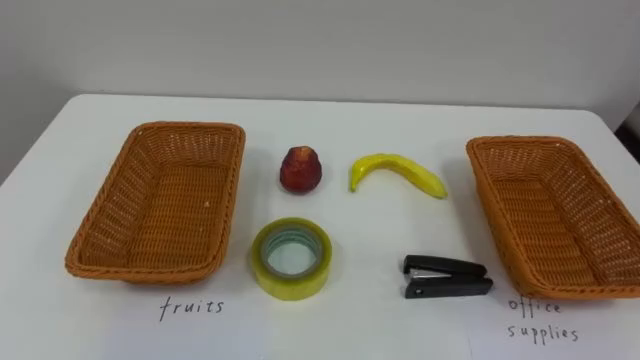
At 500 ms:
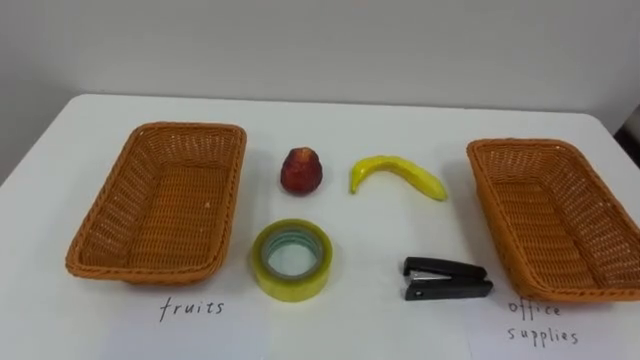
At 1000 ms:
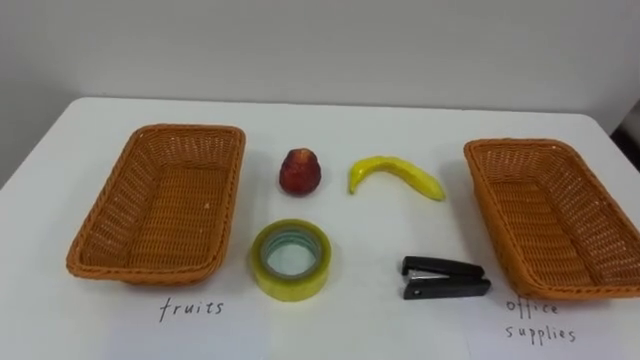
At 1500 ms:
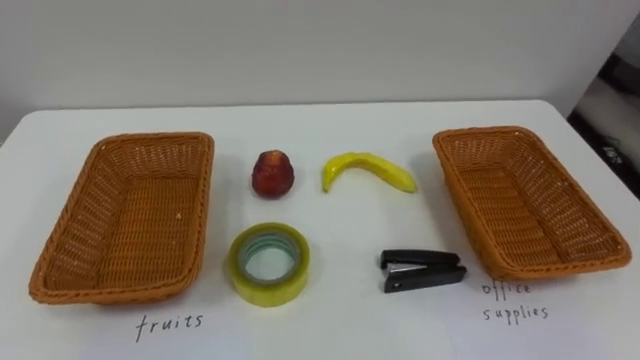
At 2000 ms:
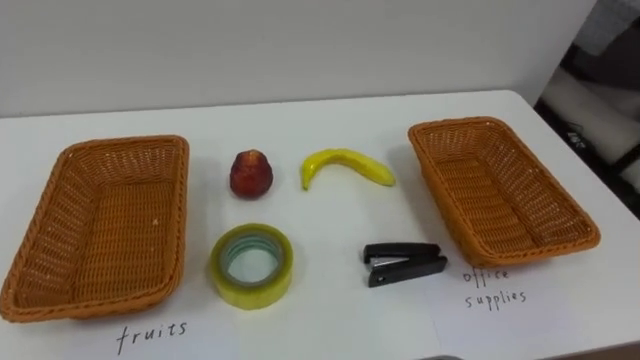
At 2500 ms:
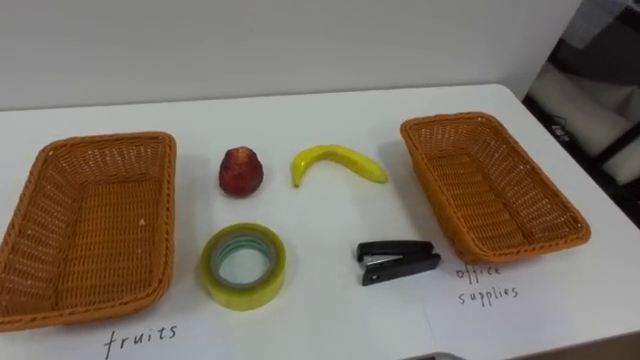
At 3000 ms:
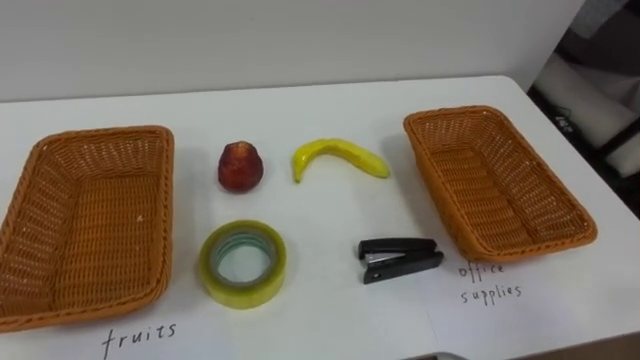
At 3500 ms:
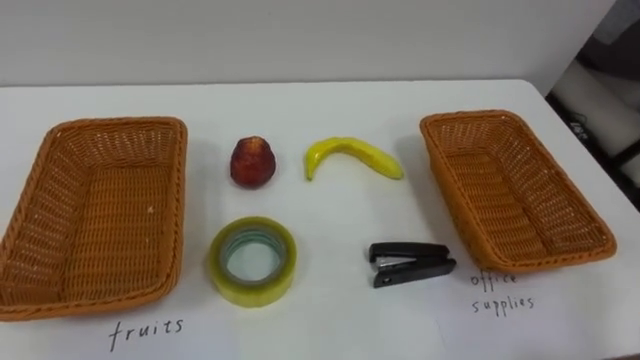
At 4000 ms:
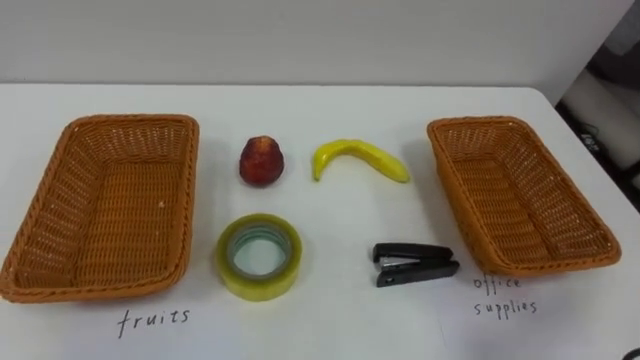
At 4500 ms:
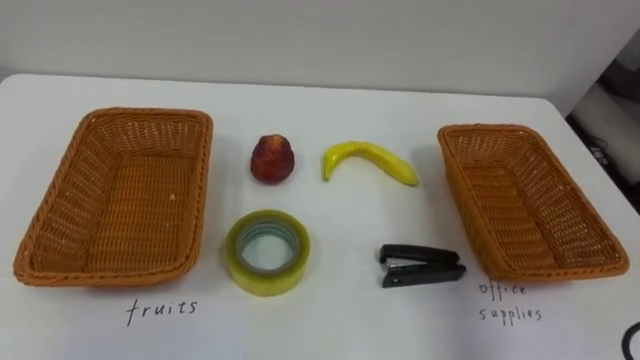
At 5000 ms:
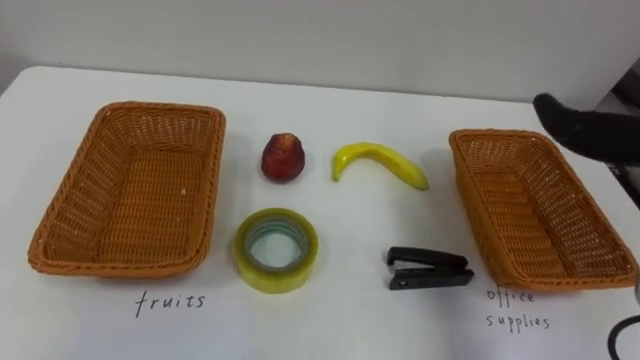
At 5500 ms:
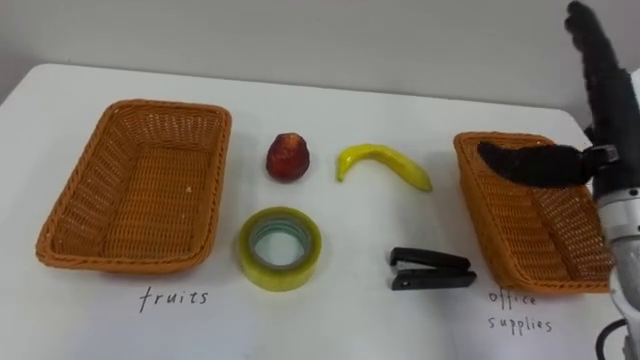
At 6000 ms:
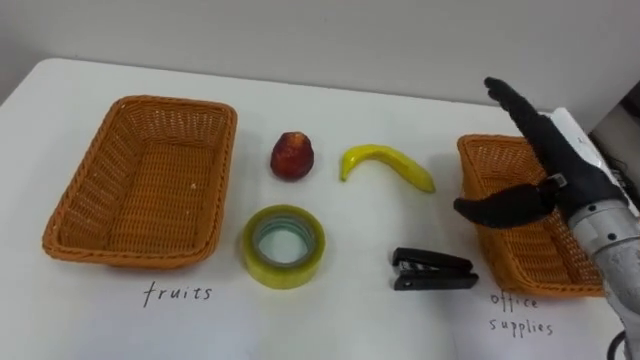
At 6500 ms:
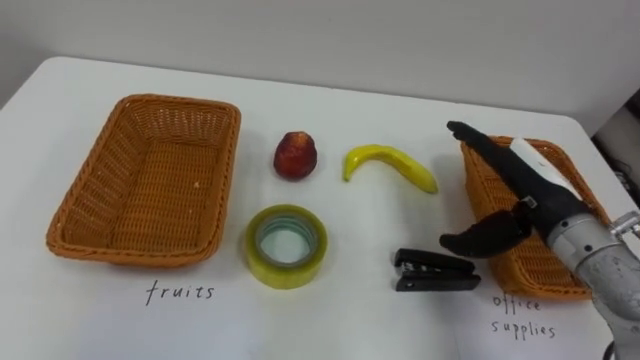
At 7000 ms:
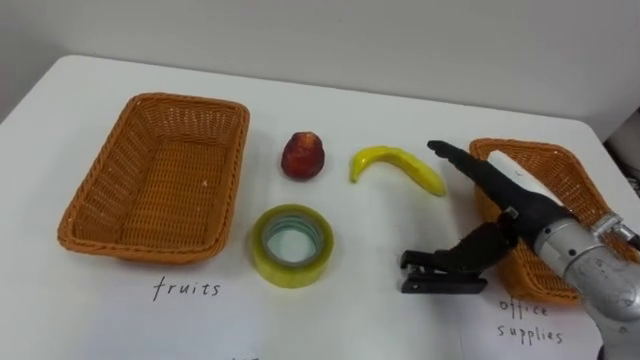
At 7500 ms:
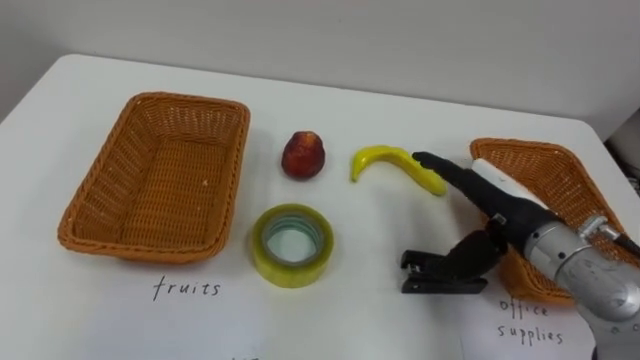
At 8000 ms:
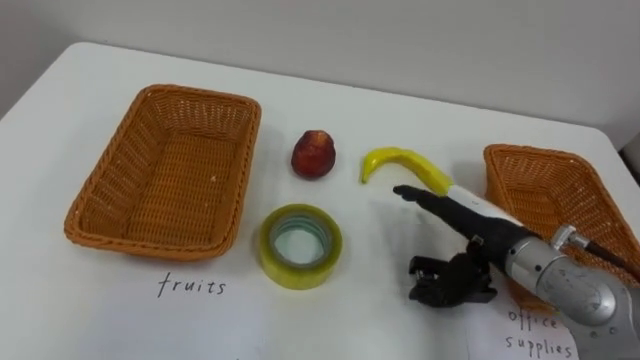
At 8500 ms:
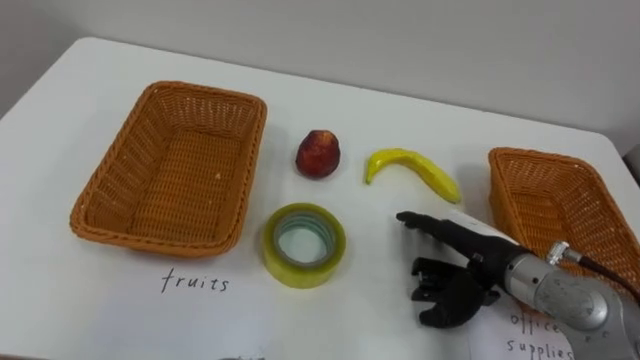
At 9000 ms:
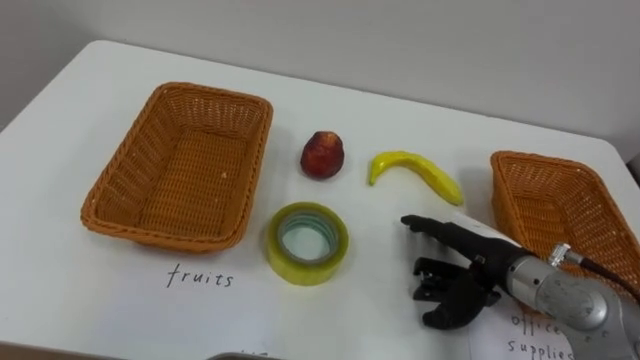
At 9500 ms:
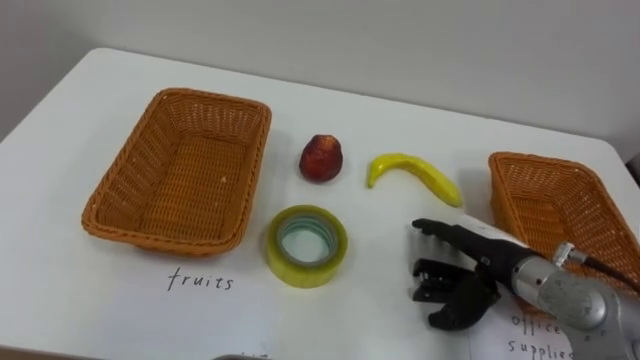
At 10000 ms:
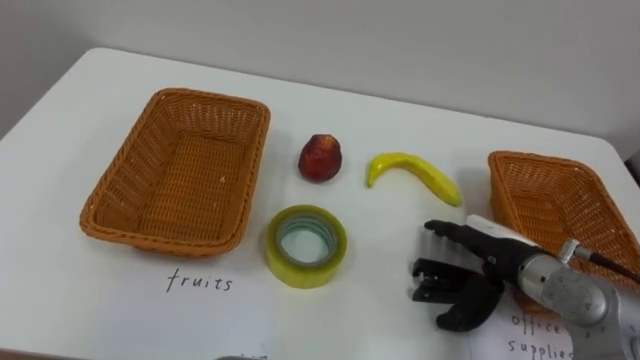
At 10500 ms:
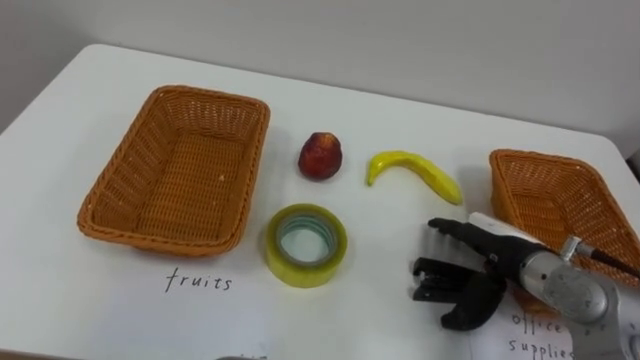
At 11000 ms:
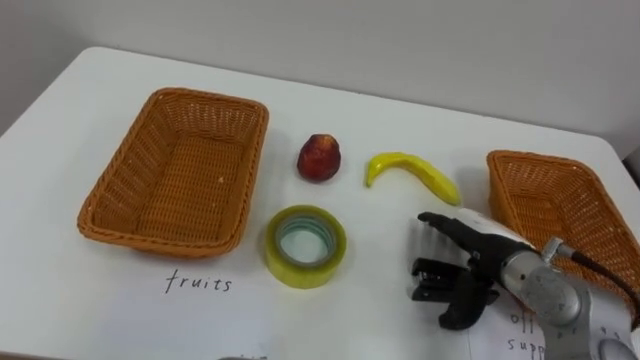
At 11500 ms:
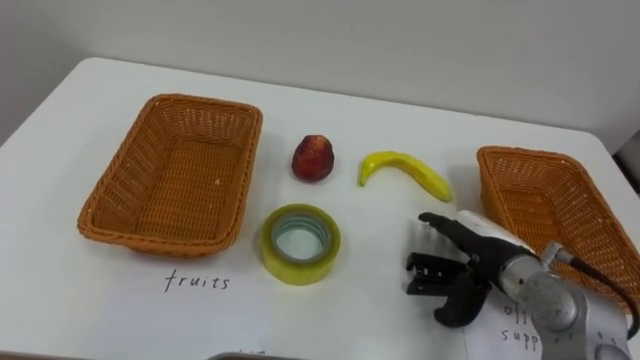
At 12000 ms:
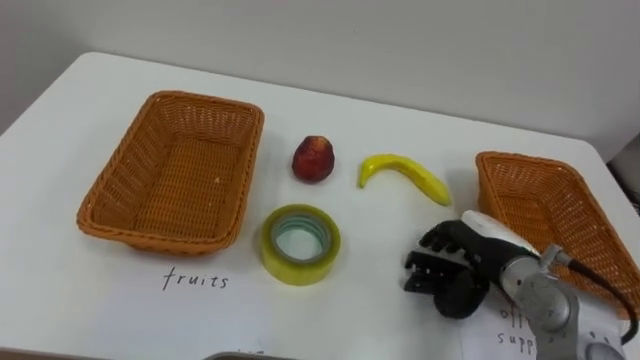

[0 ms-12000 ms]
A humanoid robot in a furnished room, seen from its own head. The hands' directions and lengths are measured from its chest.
Task of the whole recording: Separate the items on the table and place them into the two baskets.
6000 ms to 8000 ms: The right hand is displaced downward and to the left by roughly 10 cm.
8000 ms to 10000 ms: The right hand ends up approximately 5 cm from where it was.

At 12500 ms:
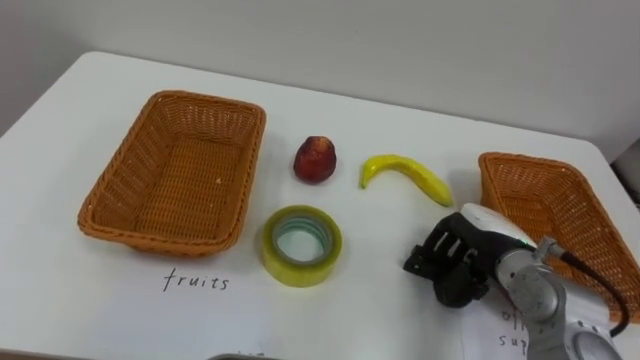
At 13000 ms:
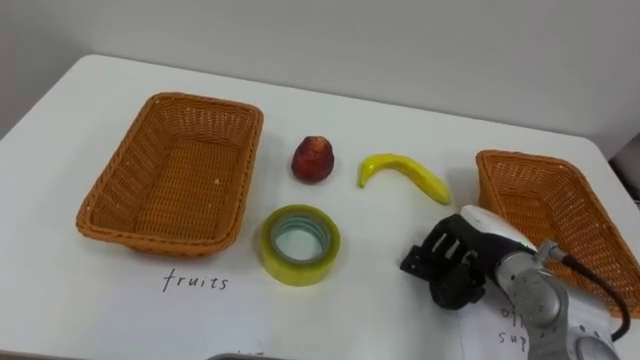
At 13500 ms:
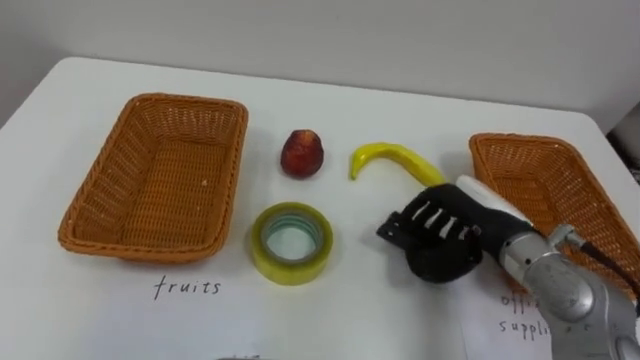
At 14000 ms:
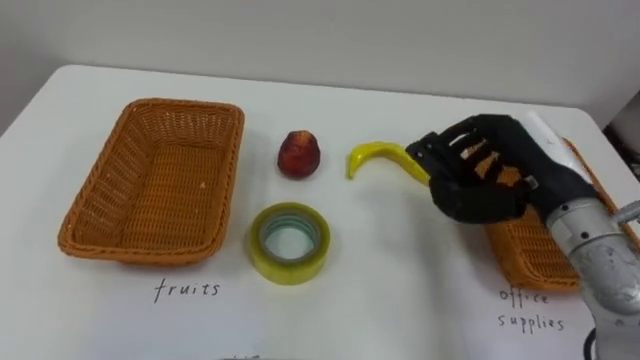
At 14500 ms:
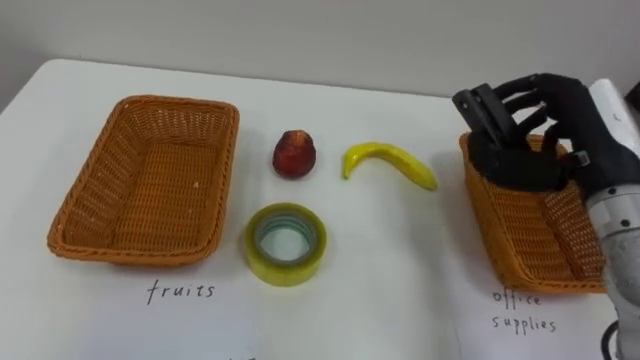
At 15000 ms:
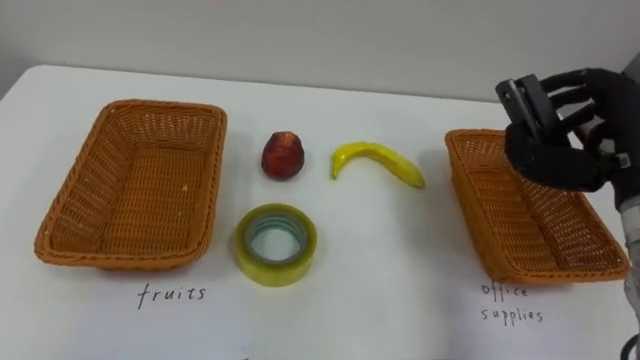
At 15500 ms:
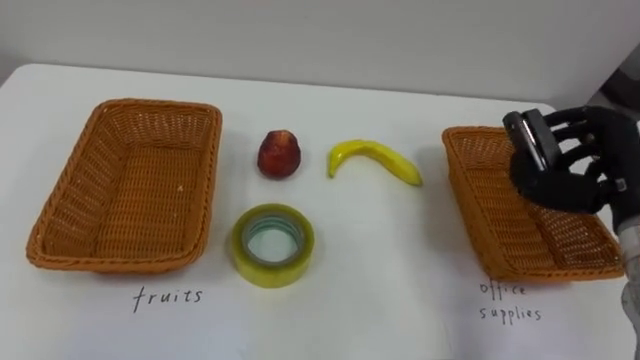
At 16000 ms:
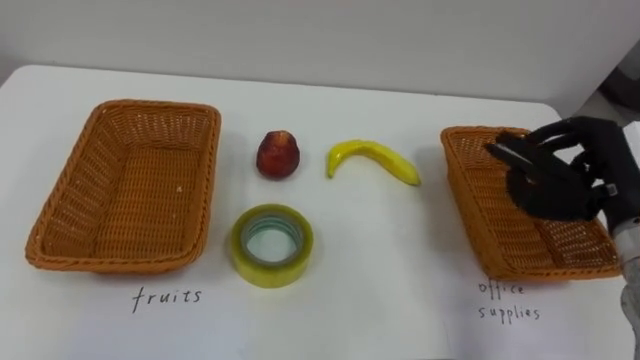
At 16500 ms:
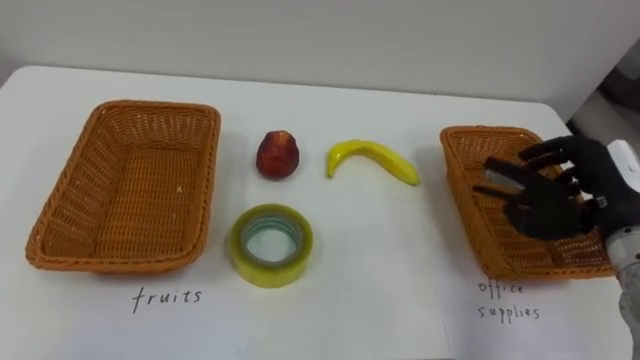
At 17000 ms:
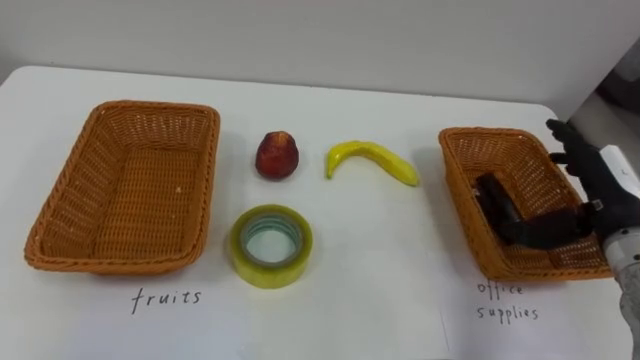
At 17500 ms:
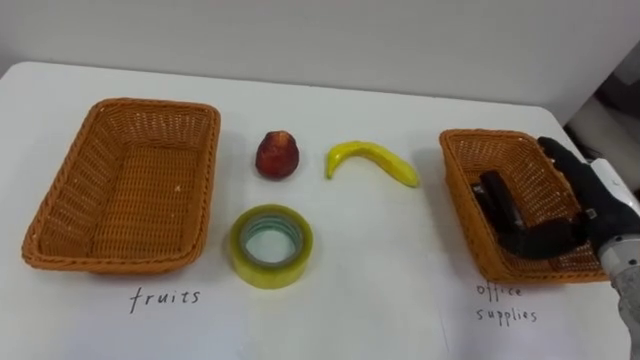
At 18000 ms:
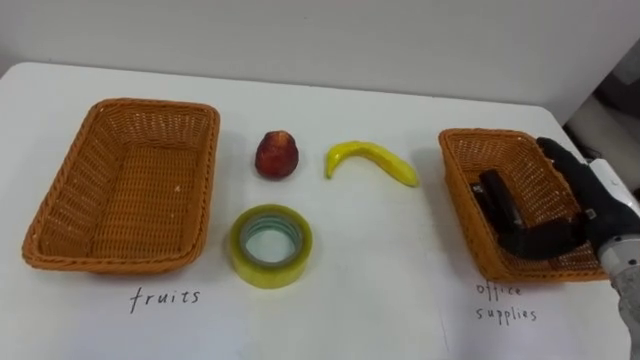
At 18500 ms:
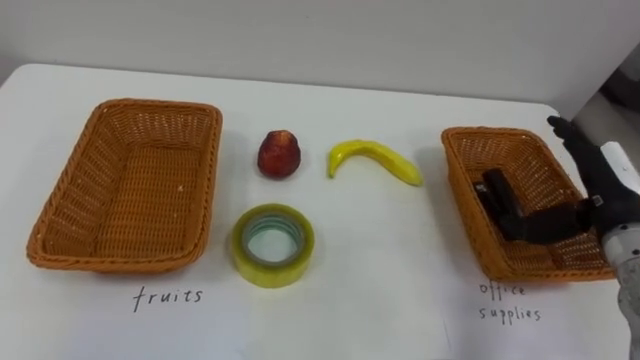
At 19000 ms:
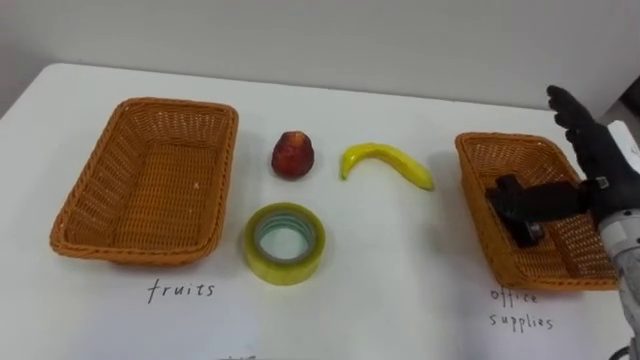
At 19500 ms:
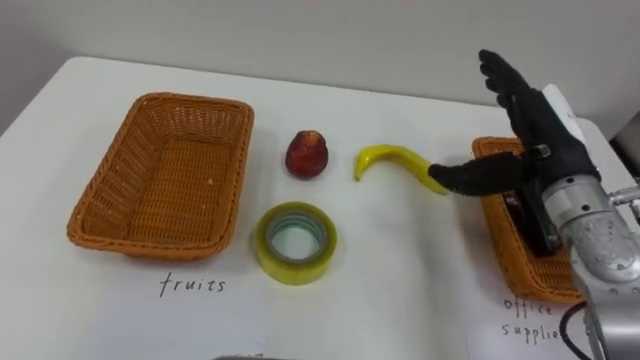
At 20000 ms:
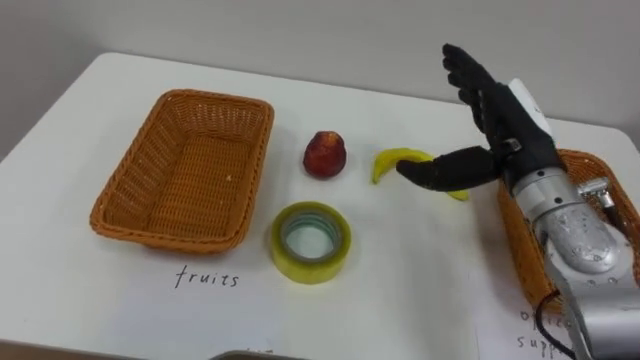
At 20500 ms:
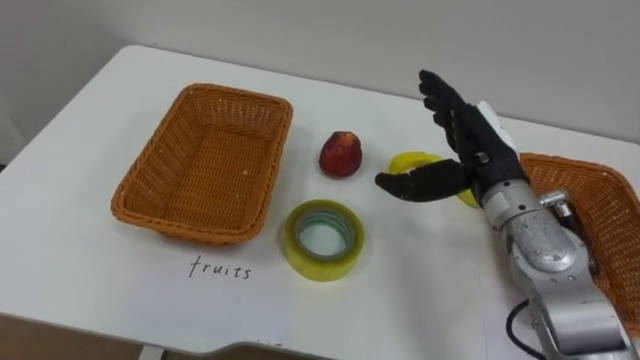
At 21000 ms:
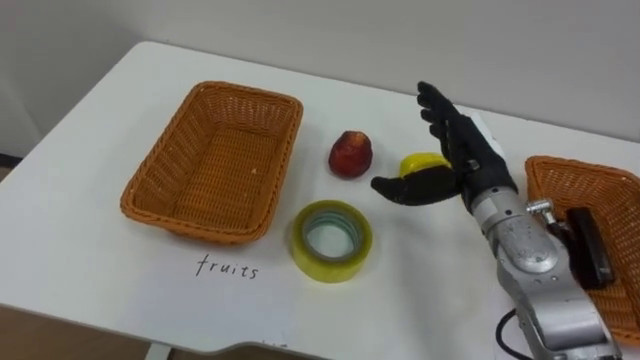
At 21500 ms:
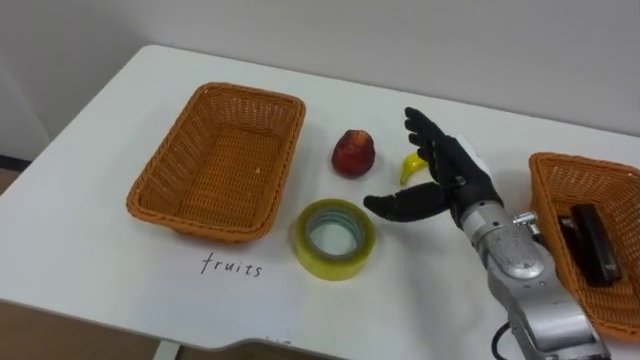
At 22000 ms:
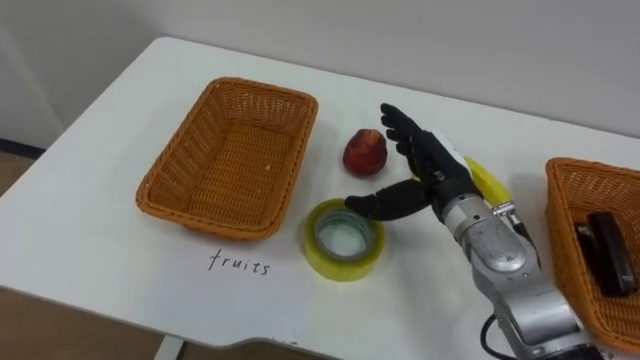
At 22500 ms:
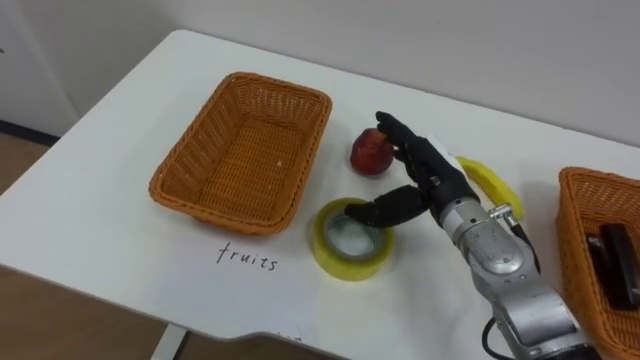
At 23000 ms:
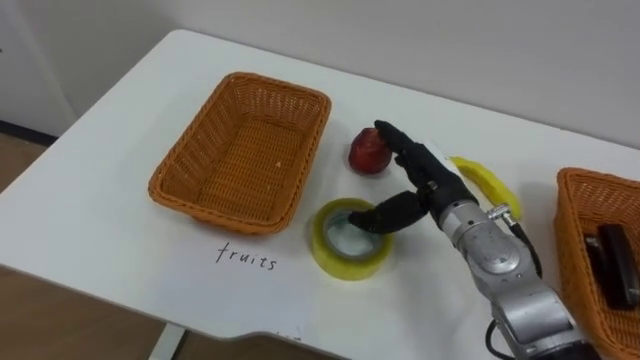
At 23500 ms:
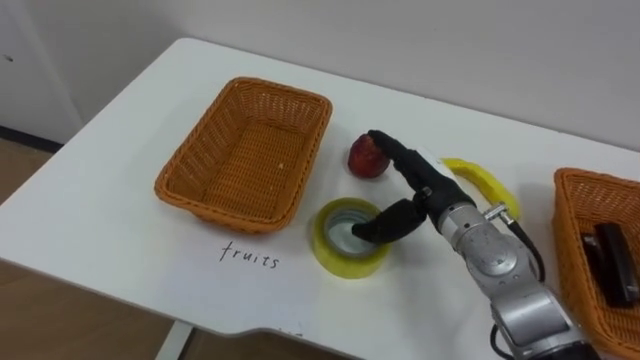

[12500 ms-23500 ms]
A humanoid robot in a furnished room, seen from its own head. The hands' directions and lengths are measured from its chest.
Task of the whole recording: Separate the items on the table and place them into the two baskets.
12500 ms to 14500 ms: The right hand goes approximately 15 cm upward.
14500 ms to 16000 ms: The right hand ends up roughly 5 cm from where it was.
16000 ms to 18000 ms: The right hand opens.
18000 ms to 20000 ms: The right hand moves to the left and upward, approximately 15 cm.
20000 ms to 21500 ms: The right hand travels downward by some 10 cm.
